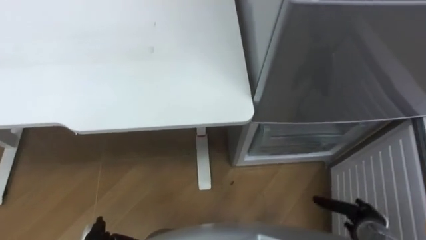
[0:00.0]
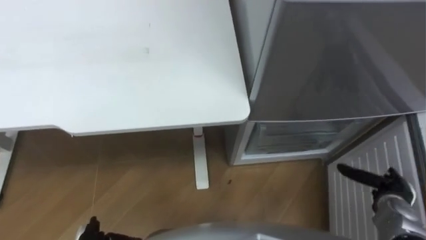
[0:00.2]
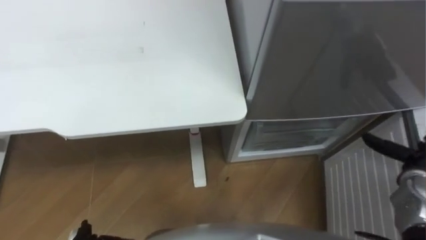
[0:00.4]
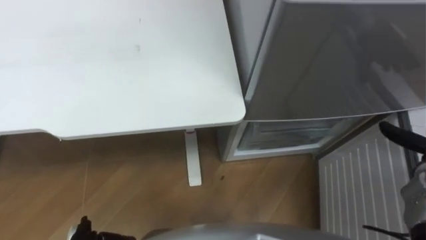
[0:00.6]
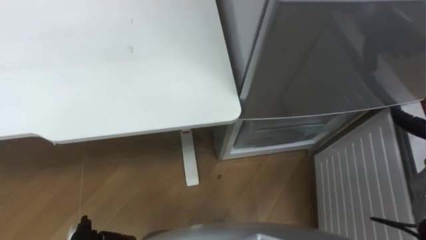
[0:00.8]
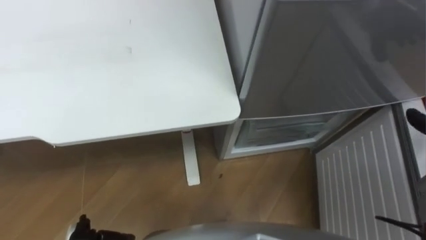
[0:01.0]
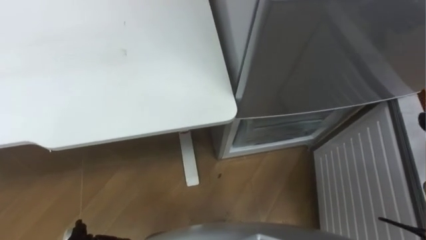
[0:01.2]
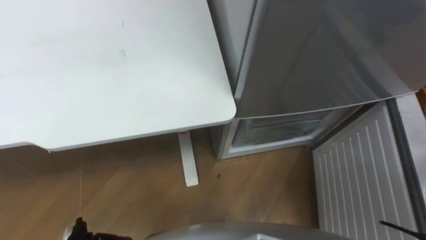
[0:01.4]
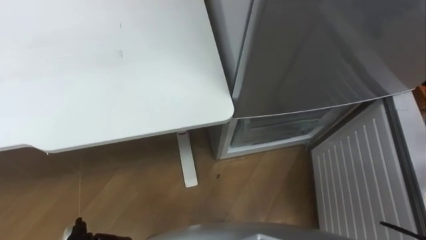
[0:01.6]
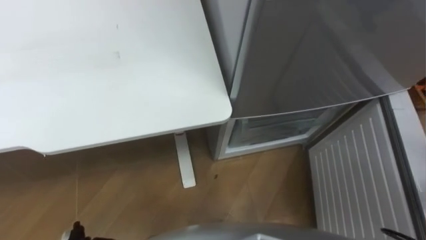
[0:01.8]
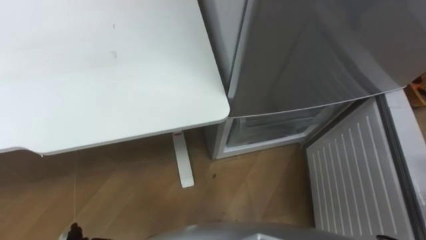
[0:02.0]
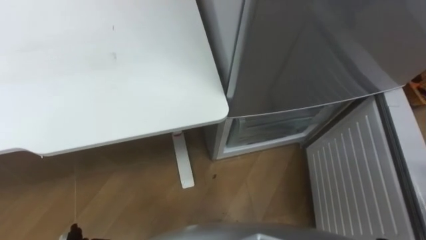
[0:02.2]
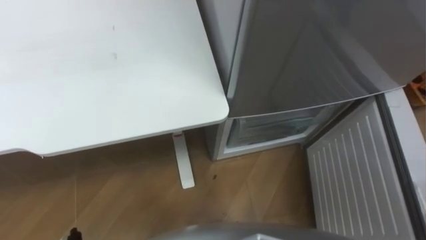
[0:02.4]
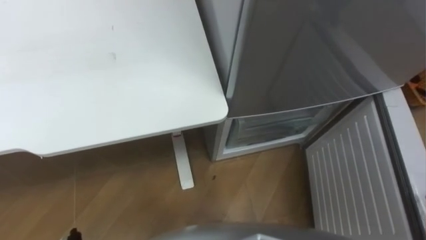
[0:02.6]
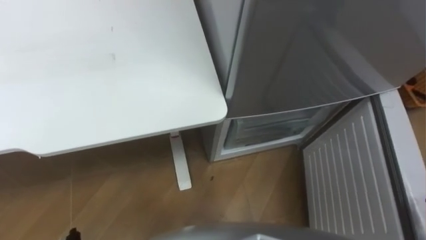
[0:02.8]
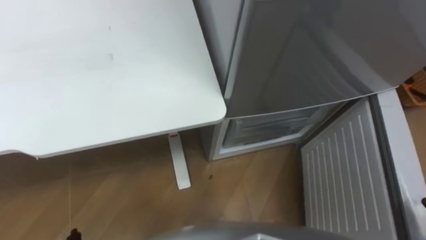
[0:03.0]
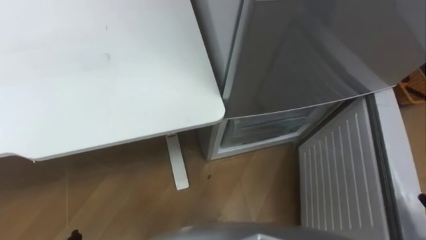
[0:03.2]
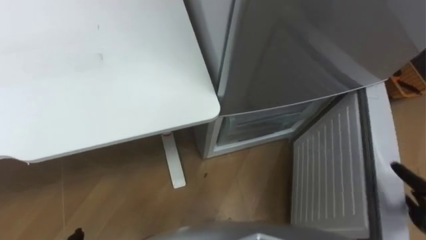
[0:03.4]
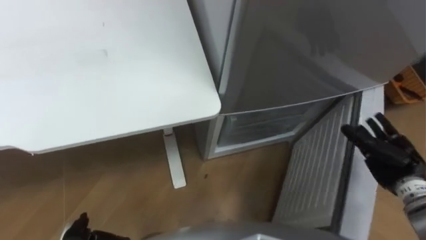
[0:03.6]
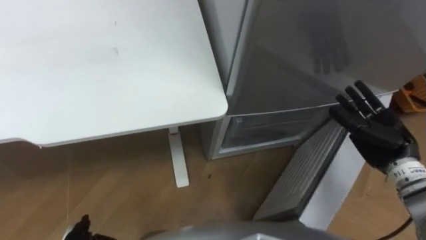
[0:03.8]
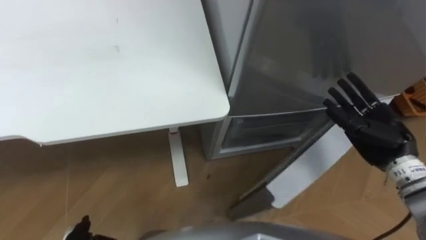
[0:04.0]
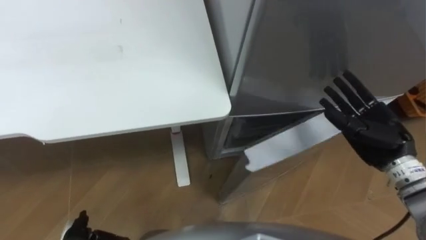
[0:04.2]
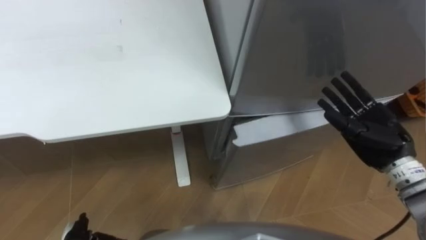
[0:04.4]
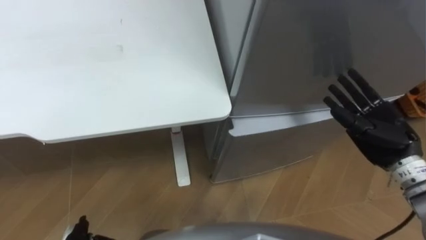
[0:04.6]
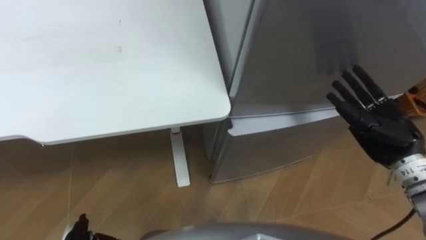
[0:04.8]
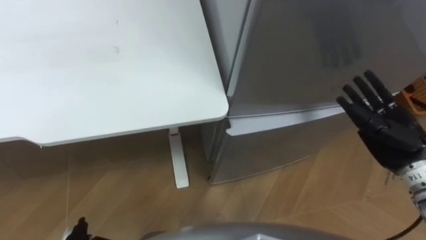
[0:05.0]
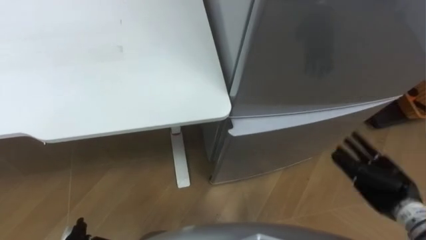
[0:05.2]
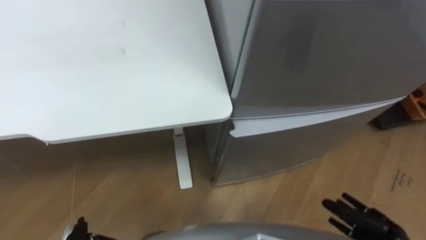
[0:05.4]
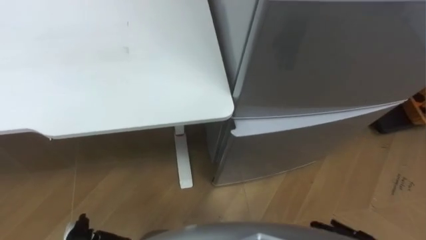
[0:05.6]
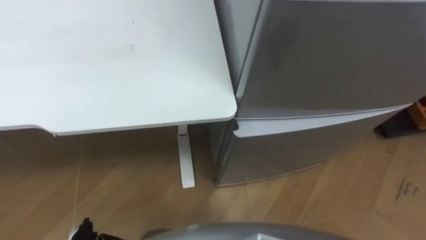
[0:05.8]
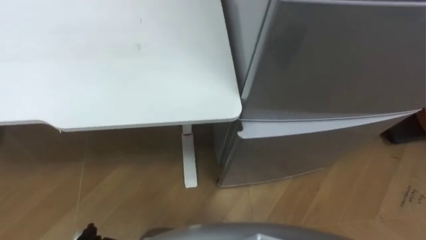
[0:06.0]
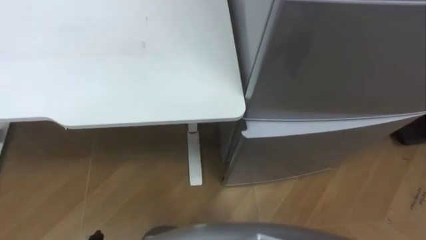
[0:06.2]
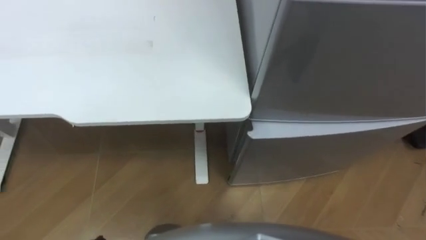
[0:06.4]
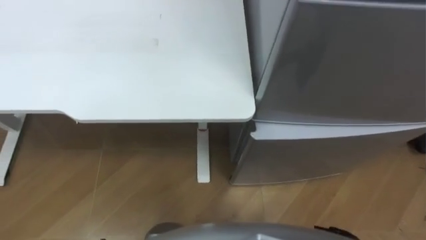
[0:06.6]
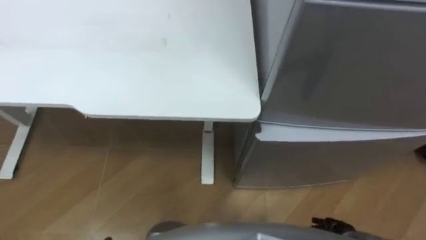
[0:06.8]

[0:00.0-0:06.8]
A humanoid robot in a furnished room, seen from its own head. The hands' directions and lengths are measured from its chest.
Task of the whole recording: Place the drink on the table on the bottom shelf of the refrigerator, then close the drawer and the refrigerator door.
0:04.0 to 0:05.4: The right hand shifts approximately 20 cm backward and downward.

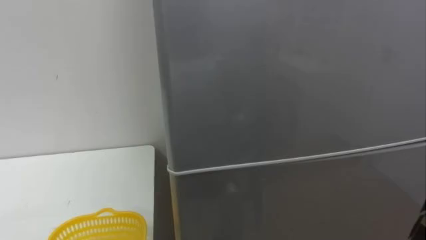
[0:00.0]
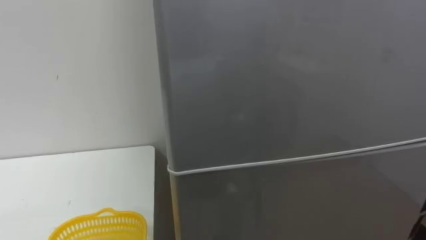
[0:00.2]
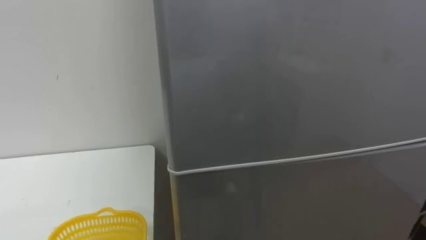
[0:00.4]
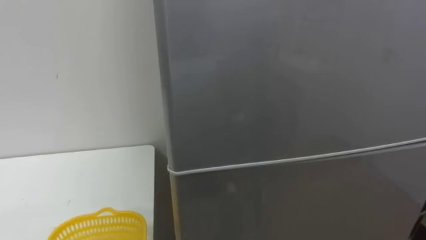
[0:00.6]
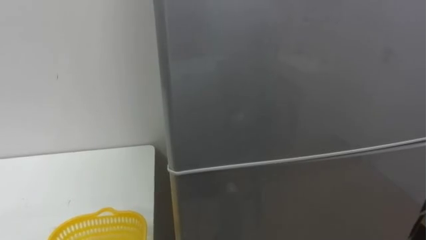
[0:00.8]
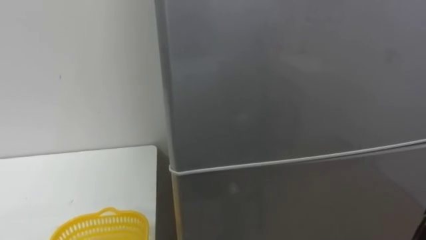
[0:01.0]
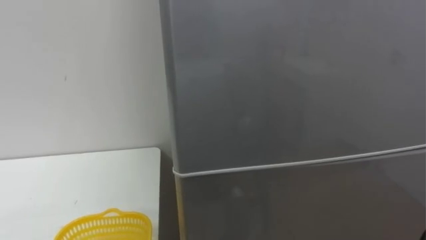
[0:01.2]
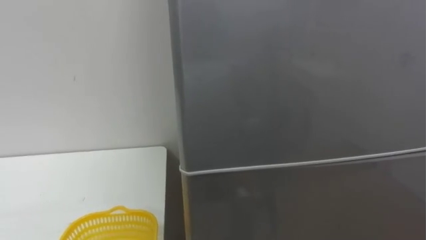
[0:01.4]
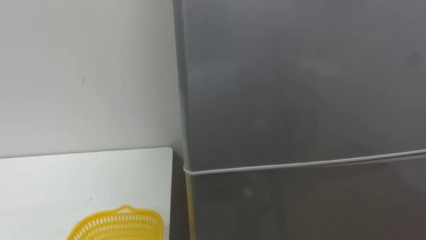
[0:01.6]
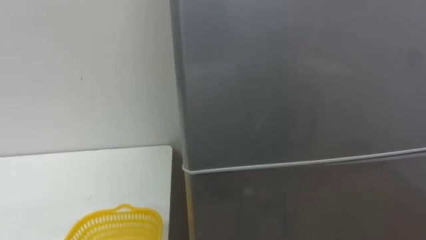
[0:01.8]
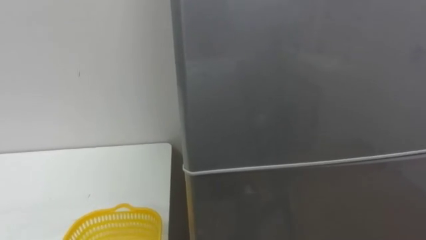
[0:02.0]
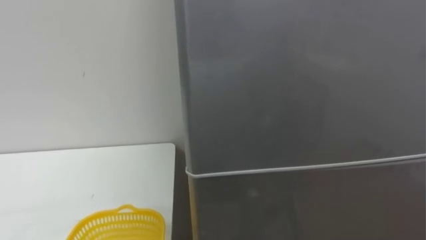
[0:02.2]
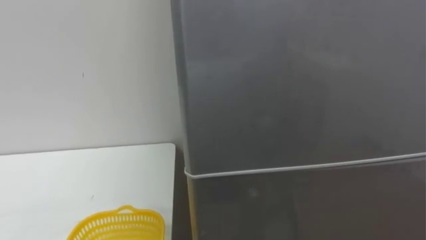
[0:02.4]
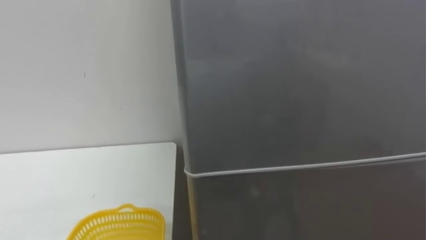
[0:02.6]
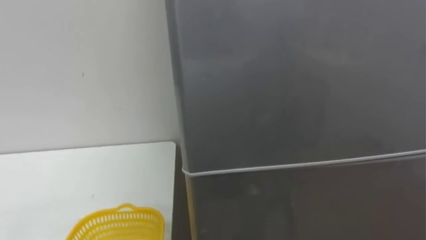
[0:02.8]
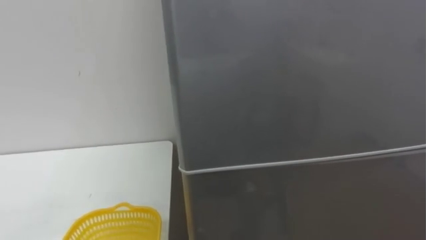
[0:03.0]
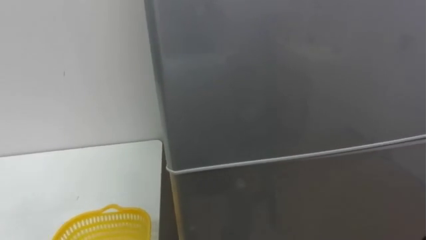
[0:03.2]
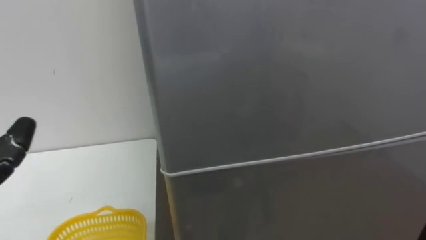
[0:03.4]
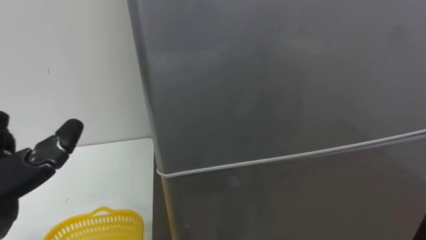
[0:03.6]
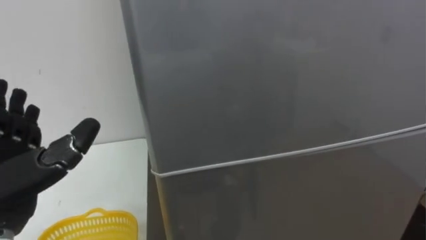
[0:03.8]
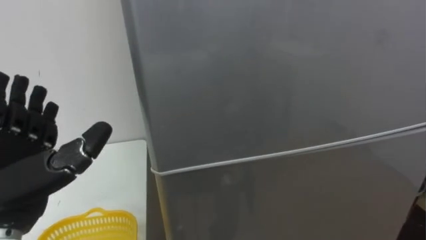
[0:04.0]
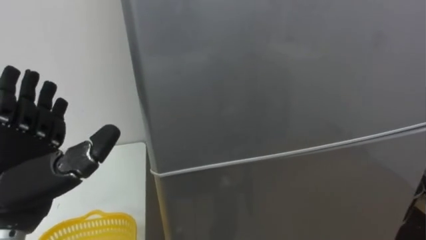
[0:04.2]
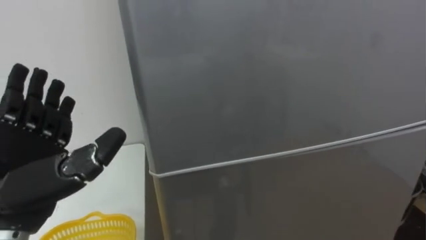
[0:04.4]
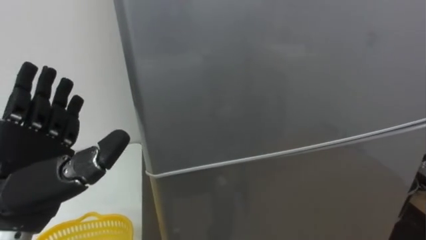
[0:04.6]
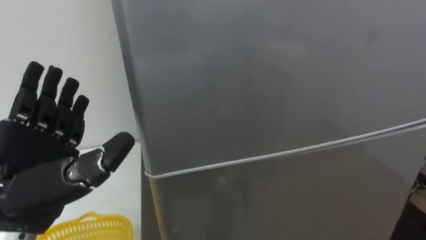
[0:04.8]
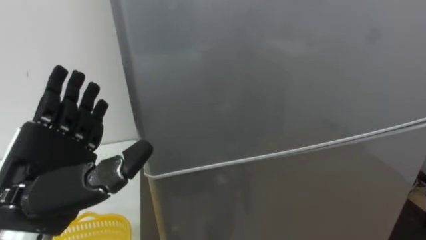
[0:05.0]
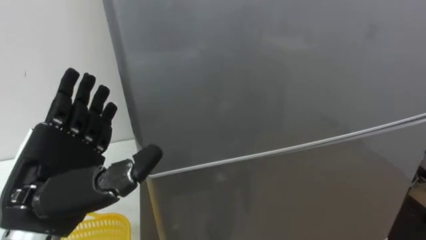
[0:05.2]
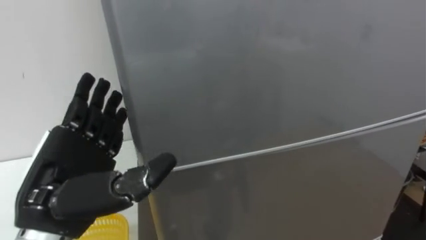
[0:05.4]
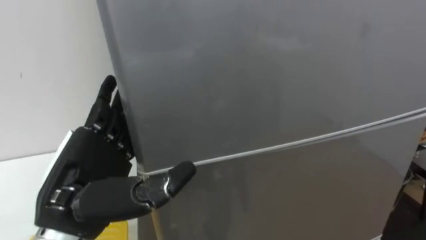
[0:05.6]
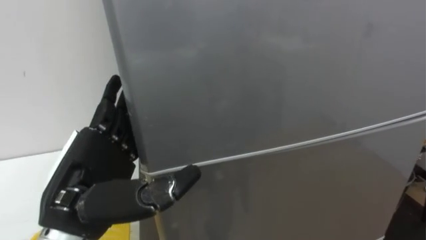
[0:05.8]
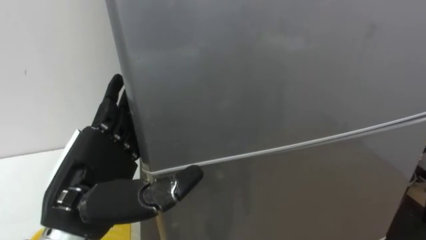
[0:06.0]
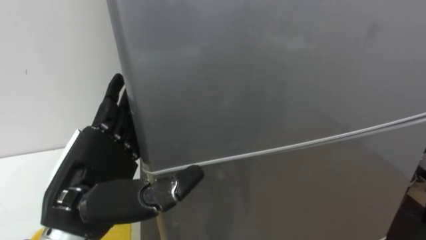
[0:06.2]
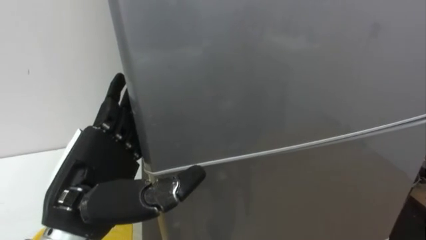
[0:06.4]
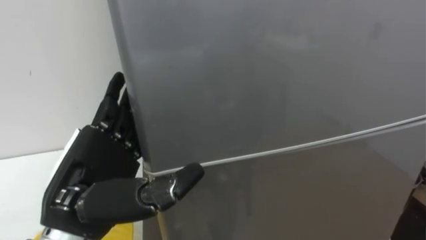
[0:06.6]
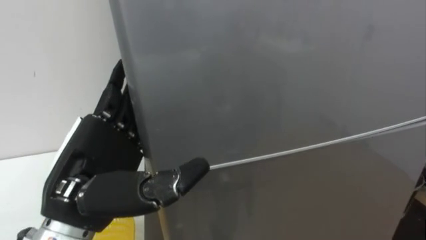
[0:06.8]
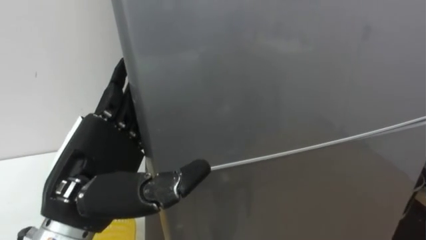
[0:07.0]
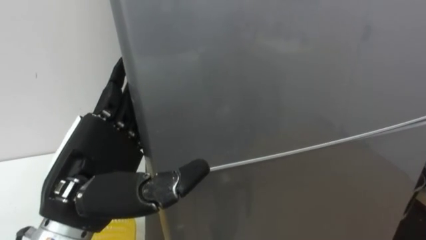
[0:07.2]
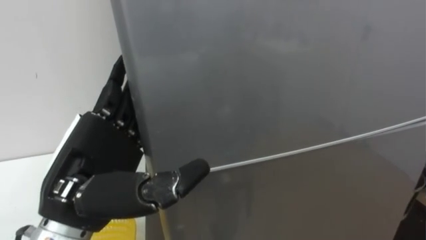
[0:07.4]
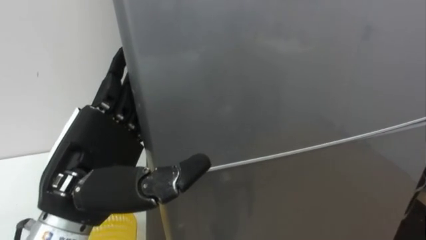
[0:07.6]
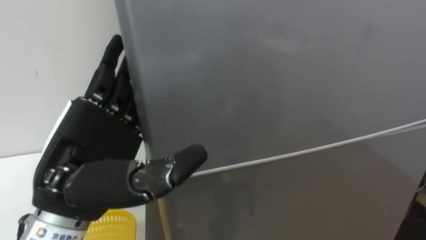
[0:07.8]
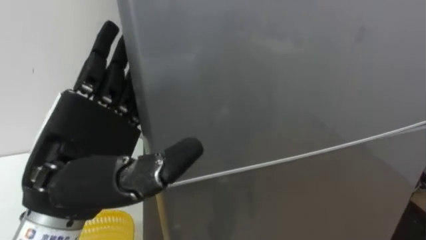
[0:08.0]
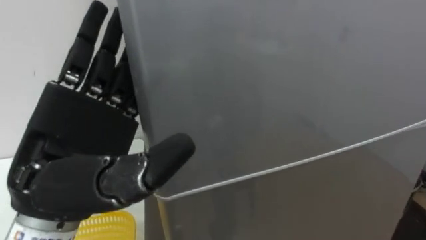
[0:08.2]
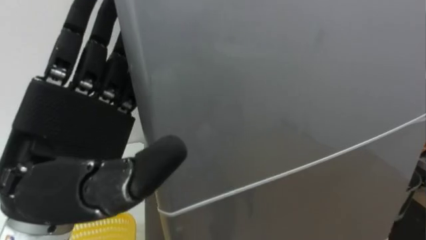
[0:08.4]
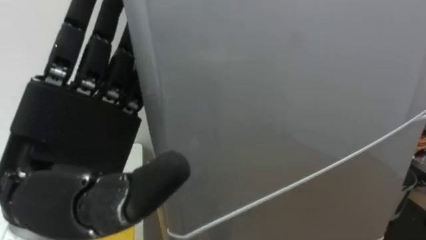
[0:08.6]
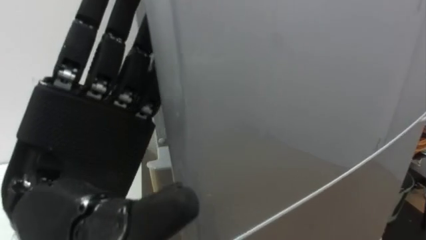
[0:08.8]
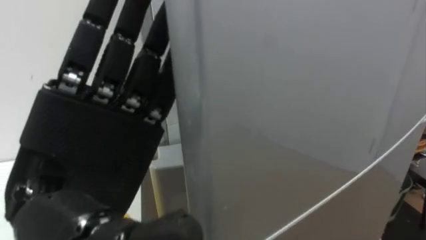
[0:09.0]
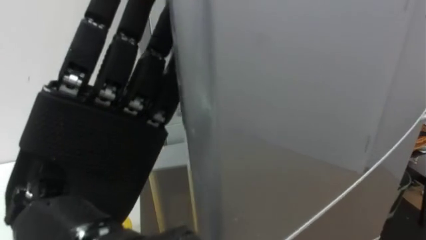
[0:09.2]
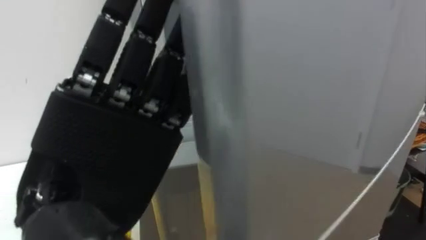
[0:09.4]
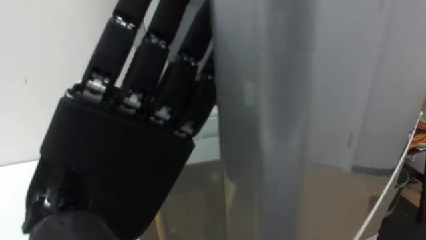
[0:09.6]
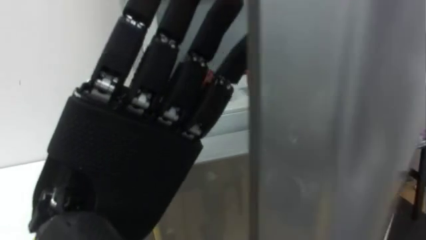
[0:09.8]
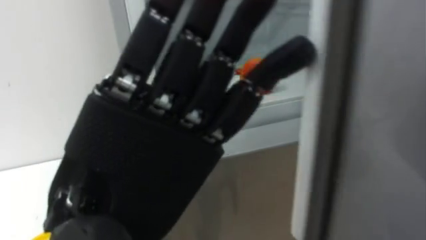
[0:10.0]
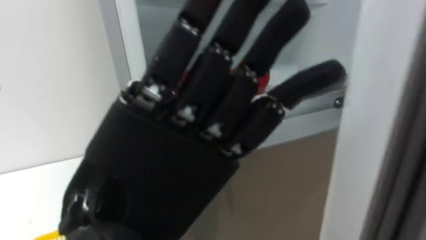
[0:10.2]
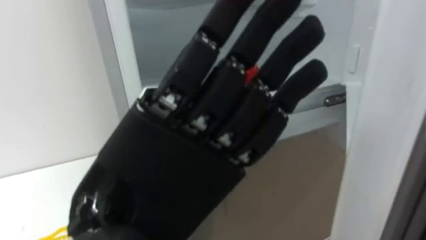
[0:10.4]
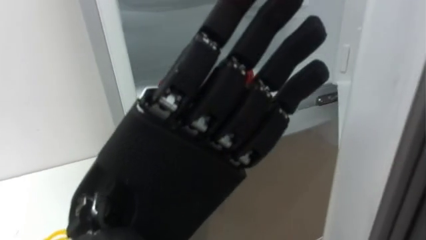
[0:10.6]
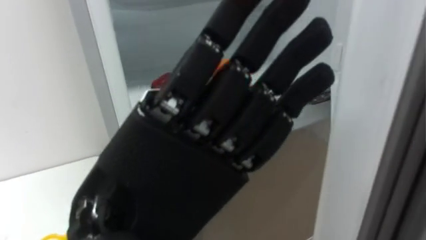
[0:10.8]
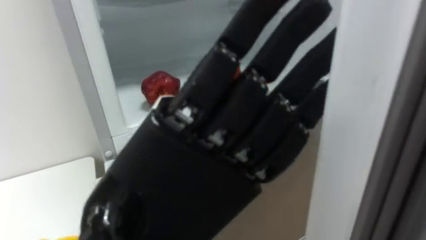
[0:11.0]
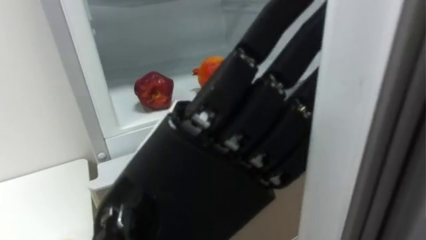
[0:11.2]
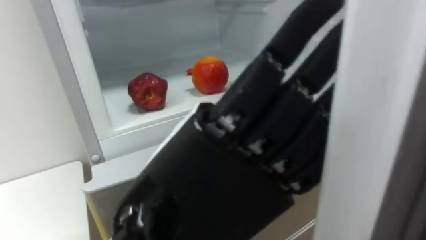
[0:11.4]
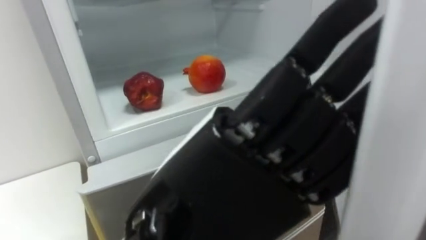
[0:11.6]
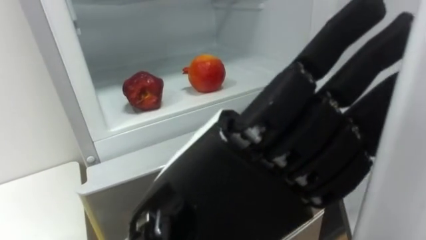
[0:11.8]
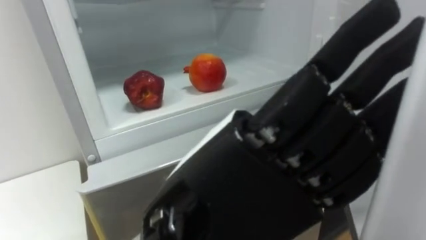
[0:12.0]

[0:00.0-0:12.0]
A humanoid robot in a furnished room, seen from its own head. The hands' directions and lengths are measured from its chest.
Task of the whole recording: Open the refrigerator door, take out the apple and the pomegranate, place them in the fruit basket on the left, and close the refrigerator door.
0:04.4 to 0:06.0: The left hand travels to the right by about 10 cm.
0:07.6 to 0:09.0: The left hand travels backward and upward by about 10 cm.
0:09.0 to 0:10.4: The left hand moves to the right, approximately 5 cm.
0:10.4 to 0:12.0: The left hand changes place by some 5 cm.
